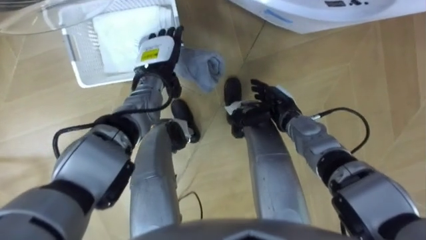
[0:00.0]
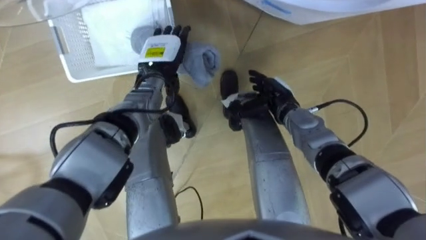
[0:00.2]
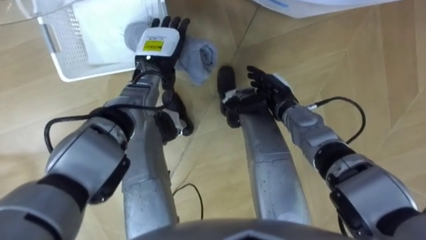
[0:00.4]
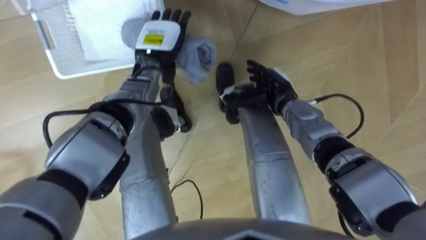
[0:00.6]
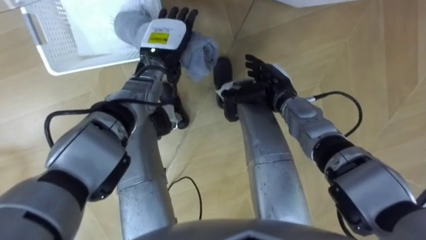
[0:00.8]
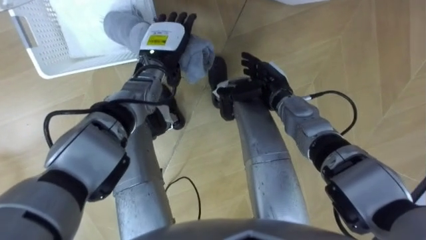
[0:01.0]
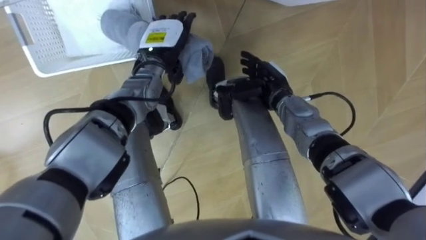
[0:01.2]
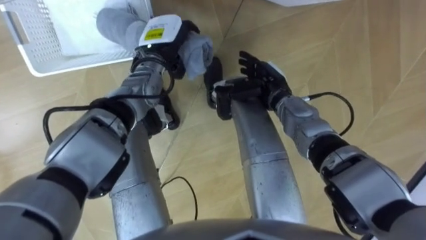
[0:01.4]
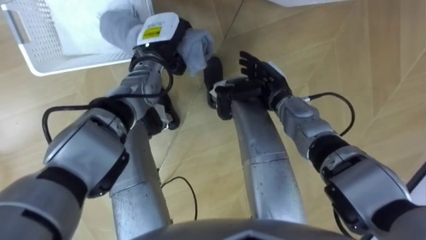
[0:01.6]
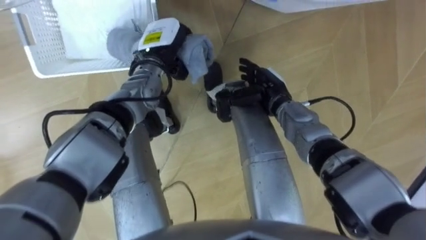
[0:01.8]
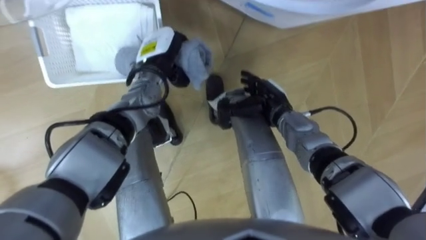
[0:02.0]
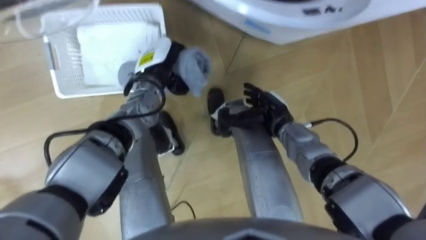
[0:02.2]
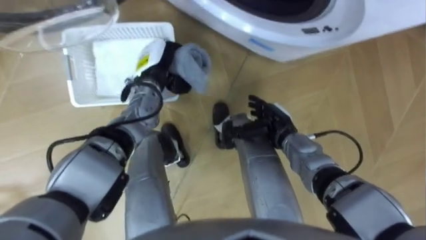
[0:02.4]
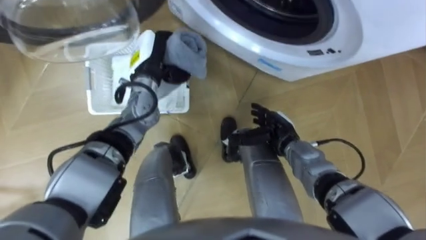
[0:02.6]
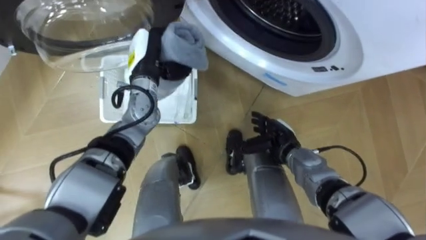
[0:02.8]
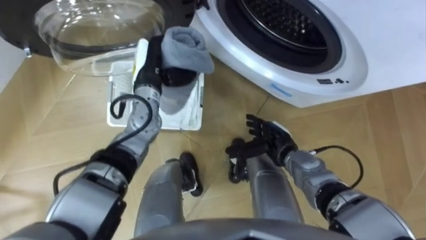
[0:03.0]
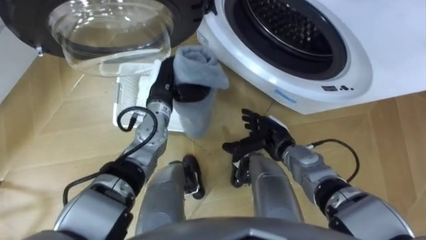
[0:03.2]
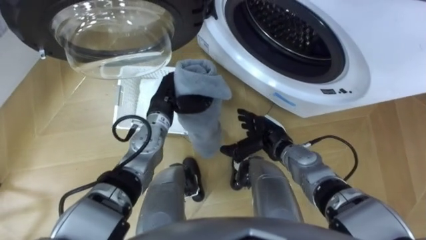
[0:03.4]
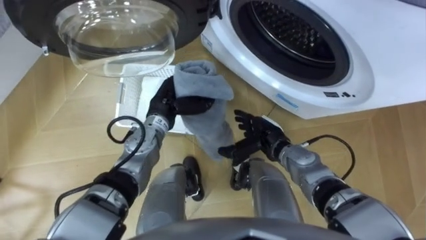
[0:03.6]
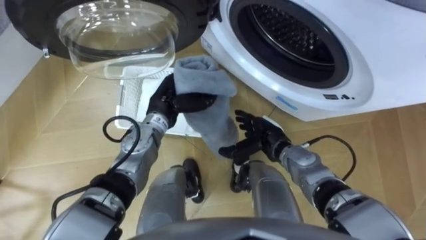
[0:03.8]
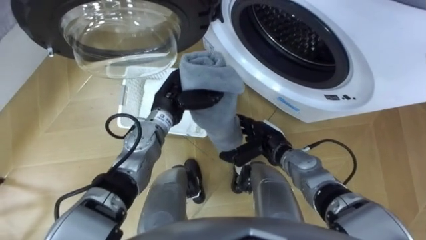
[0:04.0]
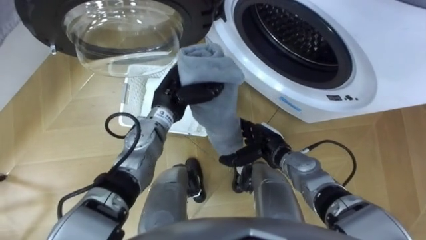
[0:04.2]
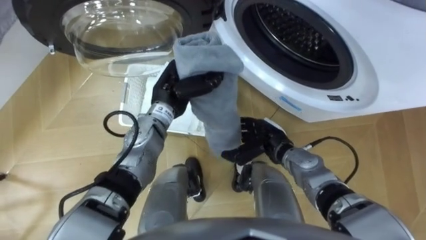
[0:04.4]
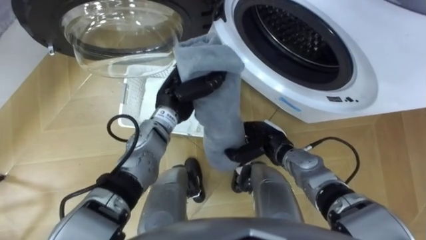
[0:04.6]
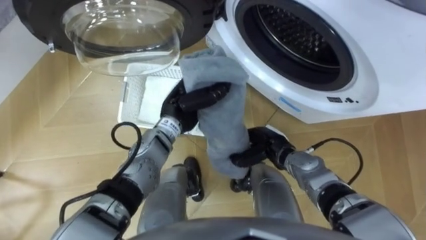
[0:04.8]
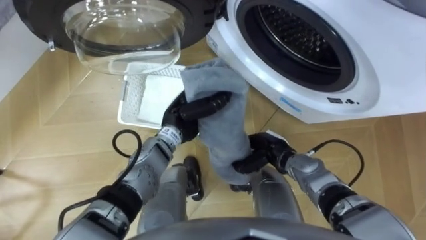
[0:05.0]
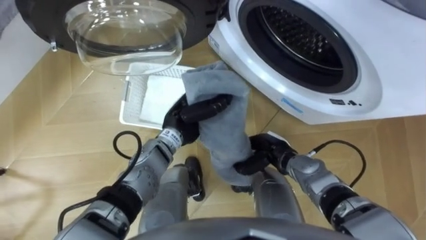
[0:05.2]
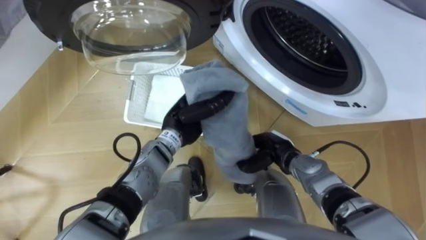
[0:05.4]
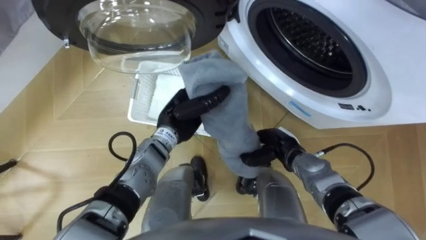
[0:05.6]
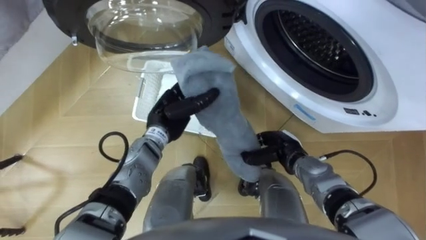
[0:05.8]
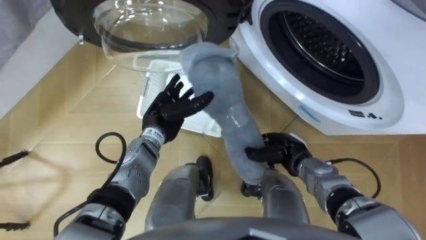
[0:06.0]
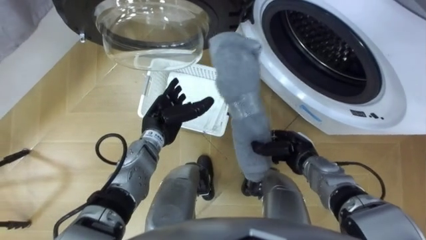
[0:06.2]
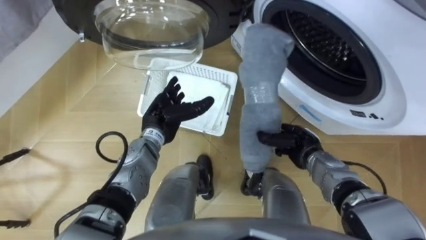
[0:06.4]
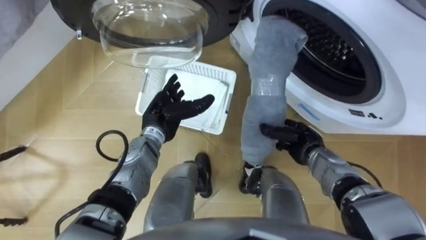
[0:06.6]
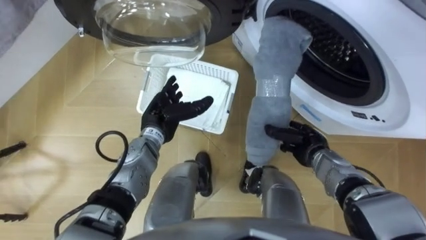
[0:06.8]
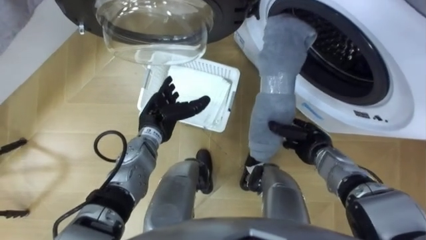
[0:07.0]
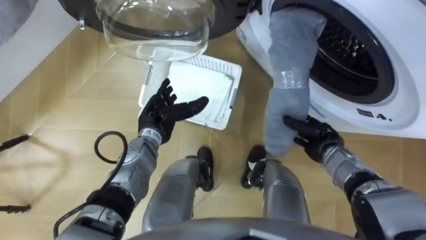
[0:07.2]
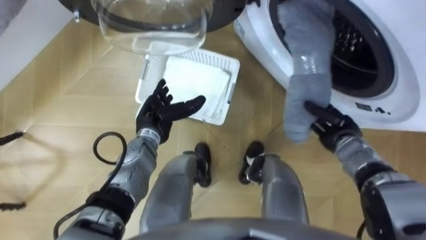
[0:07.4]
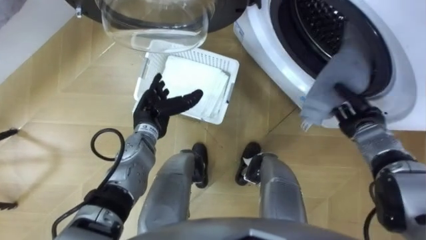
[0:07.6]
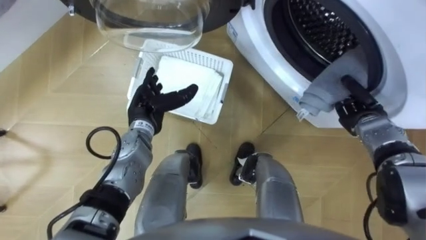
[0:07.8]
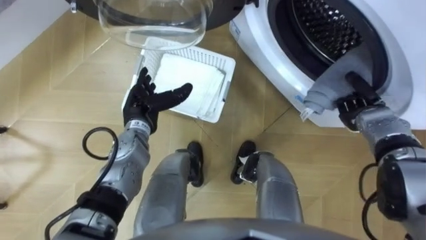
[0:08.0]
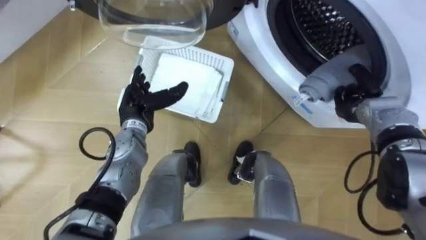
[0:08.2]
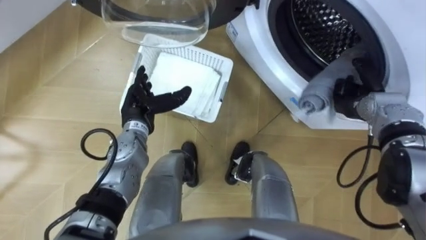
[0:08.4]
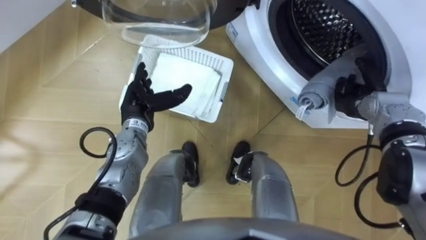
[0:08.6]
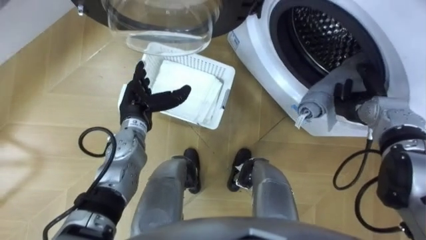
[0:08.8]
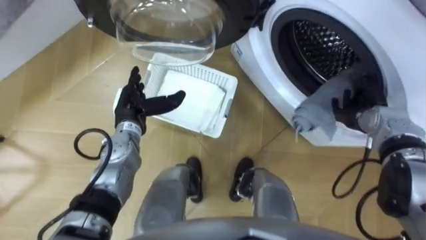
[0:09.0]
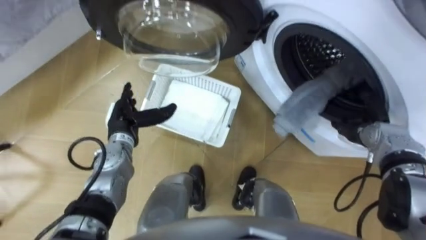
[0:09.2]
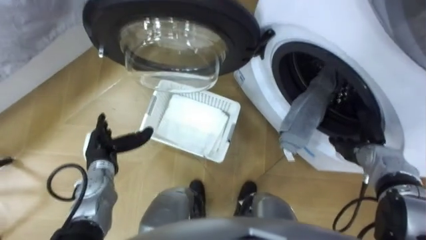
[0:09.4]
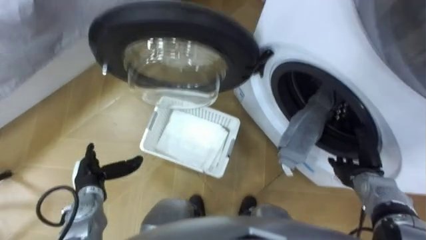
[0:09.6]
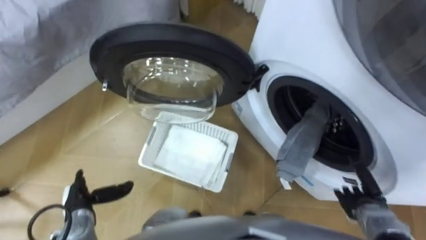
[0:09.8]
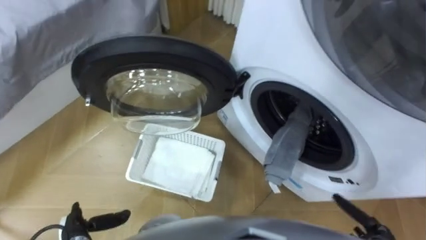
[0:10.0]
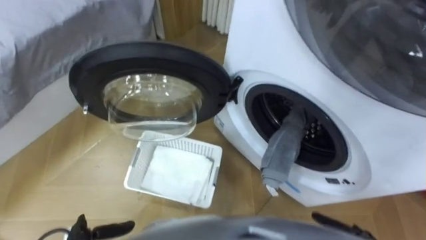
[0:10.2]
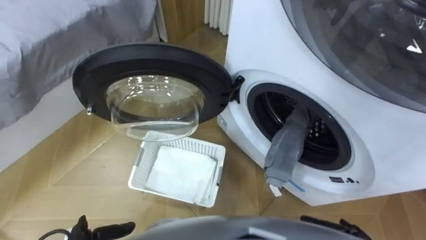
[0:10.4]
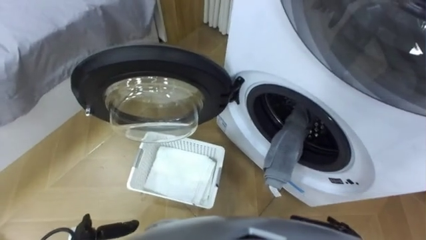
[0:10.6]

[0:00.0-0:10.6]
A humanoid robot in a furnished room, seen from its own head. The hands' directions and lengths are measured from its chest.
Task of the whole recording: Take the towel from the basket and put it into the washing machine.
0:00.0 to 0:01.6: The left hand closes. Meanwhile the right hand shifts by some 5 cm.
0:01.6 to 0:03.0: The right hand travels backward and downward by approximately 15 cm, while the left hand ends up about 5 cm from where it was.
0:03.0 to 0:04.6: The left hand shifts about 5 cm to the right. The right hand closes up.
0:04.6 to 0:06.0: The right hand travels to the right by approximately 5 cm. Meanwhile the left hand heads downward, covering roughly 5 cm, and opens its fingers.
0:06.0 to 0:07.6: The right hand goes about 15 cm to the right.
0:07.6 to 0:09.0: The right hand opens.

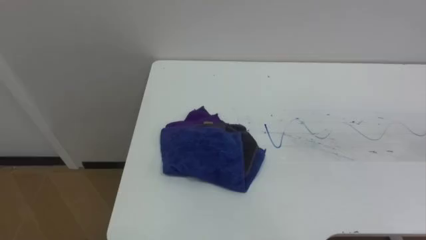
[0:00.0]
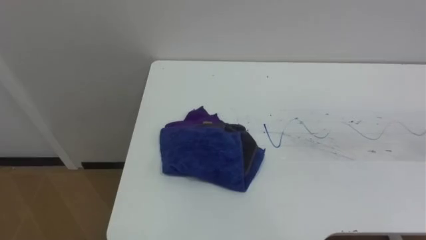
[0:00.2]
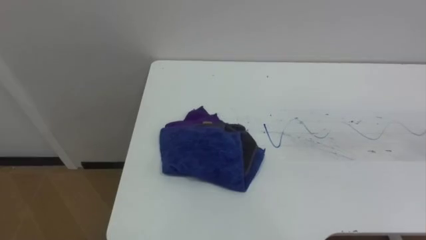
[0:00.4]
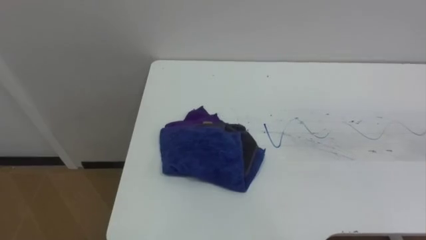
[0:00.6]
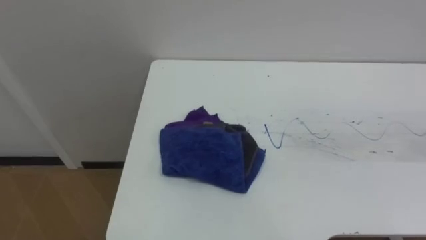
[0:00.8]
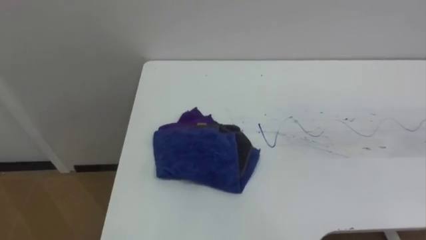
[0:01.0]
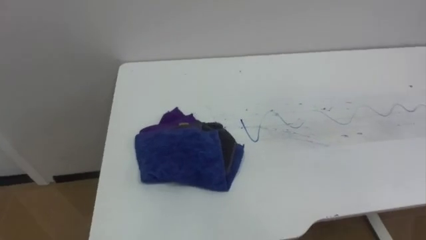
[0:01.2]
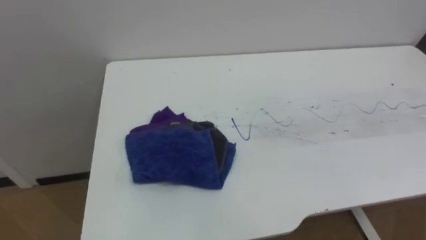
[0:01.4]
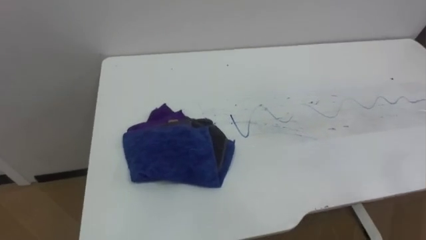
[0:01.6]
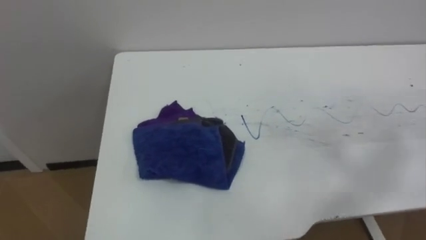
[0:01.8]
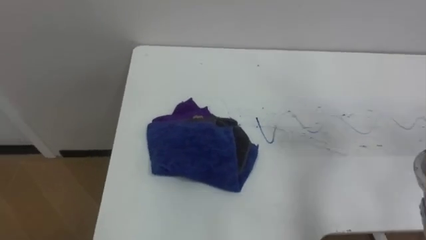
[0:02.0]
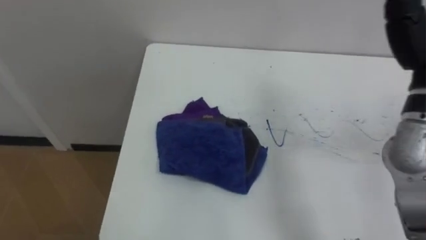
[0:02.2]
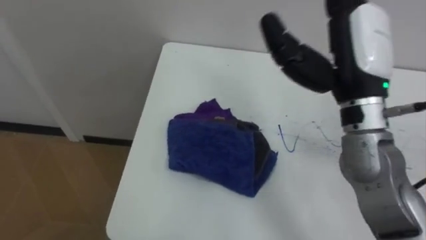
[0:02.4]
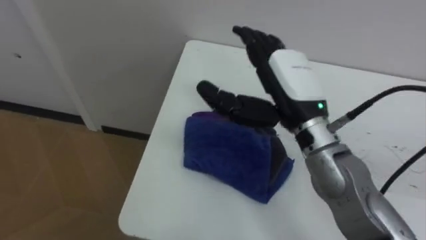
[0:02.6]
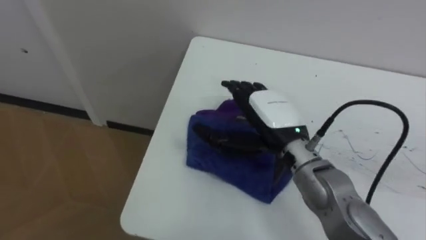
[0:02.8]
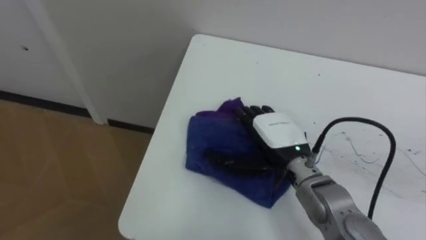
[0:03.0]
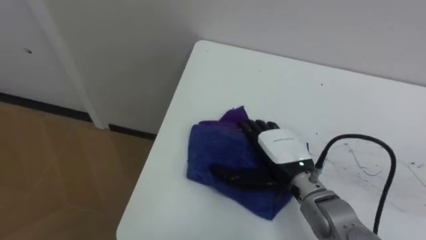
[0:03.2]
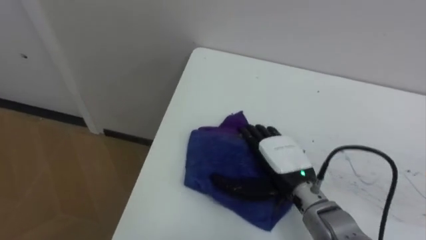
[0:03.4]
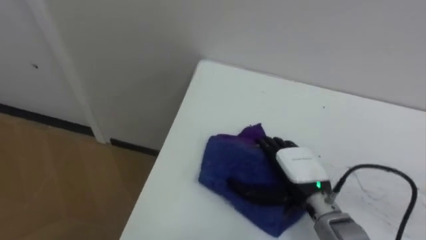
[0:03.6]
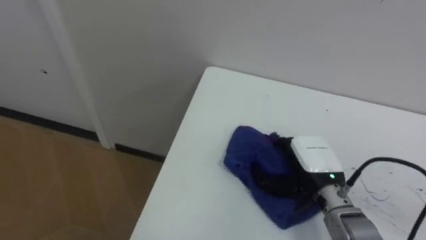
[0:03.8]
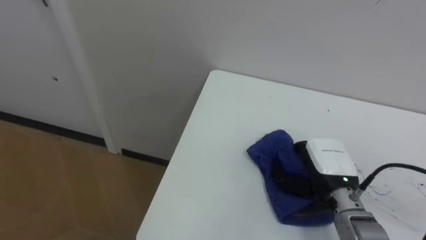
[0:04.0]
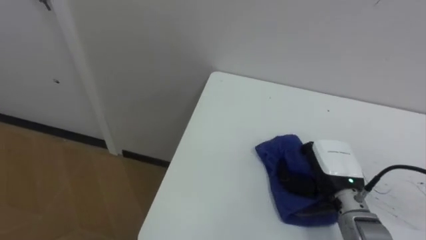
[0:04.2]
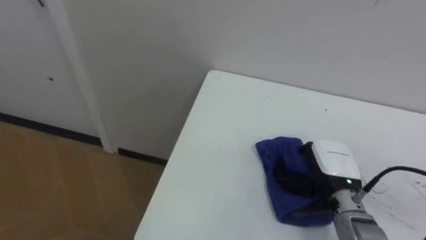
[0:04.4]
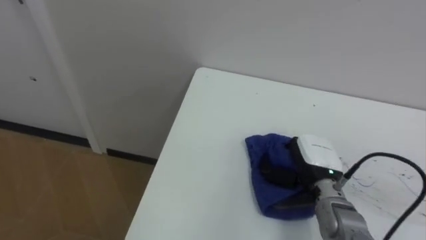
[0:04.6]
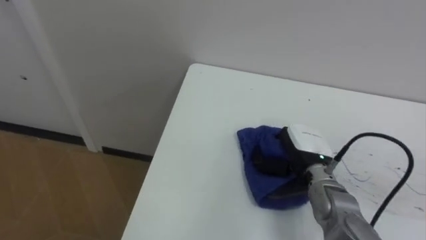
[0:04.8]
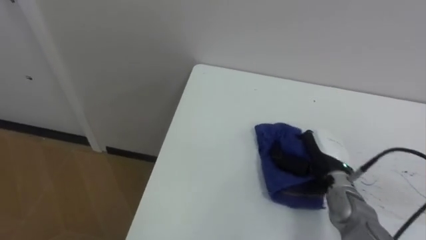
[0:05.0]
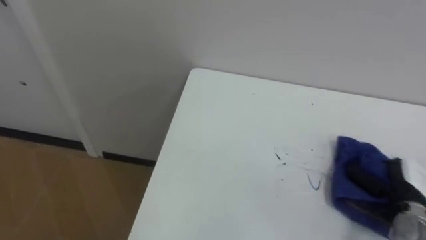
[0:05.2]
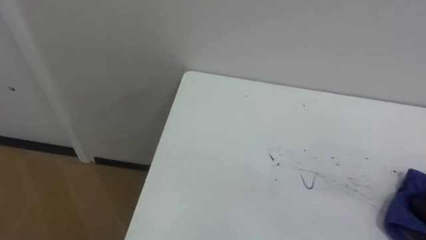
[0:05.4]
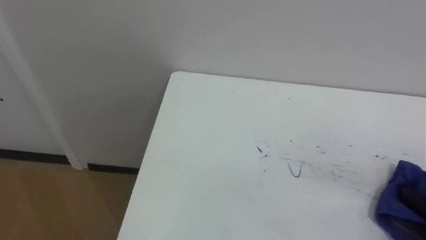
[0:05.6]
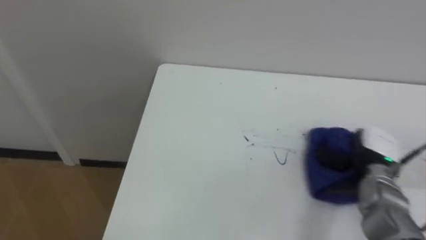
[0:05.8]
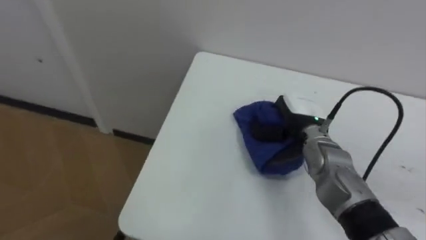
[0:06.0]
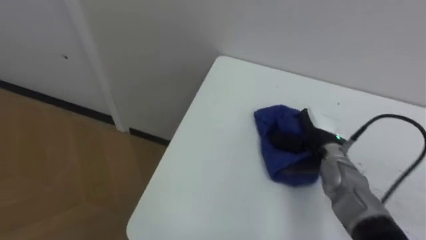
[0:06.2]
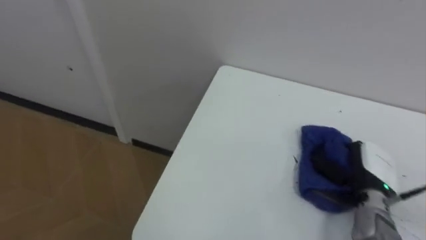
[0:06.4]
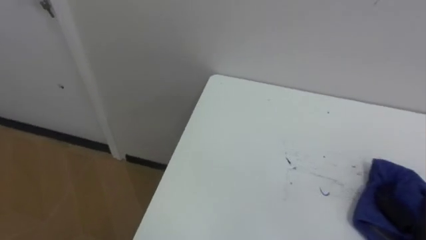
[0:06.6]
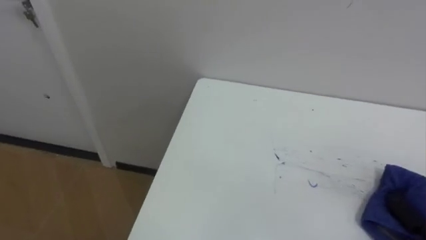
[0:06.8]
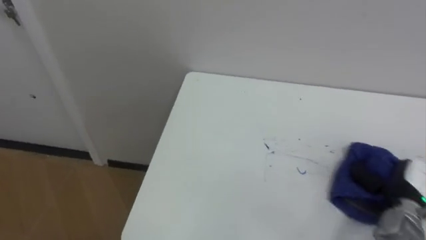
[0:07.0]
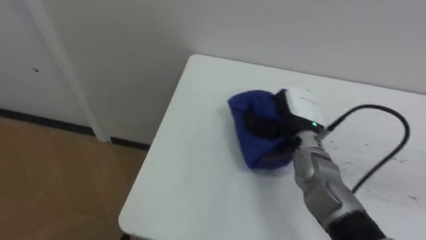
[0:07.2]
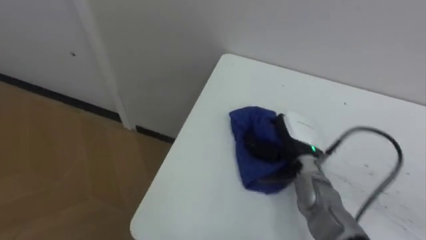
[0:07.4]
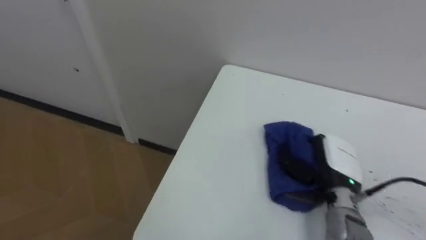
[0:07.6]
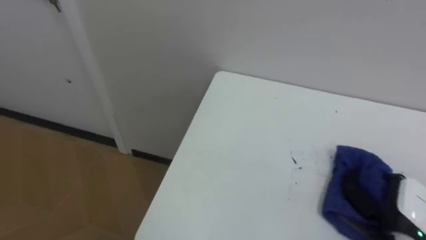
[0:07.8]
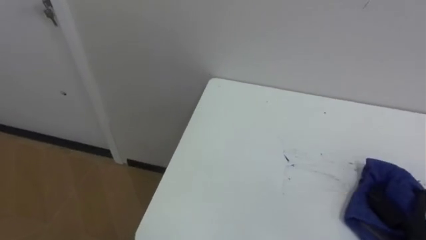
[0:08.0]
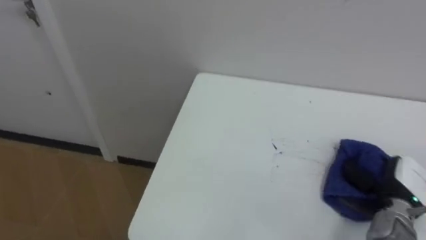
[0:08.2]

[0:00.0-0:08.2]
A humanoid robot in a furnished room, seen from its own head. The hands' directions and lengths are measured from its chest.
Task of the whole recording: Wipe the blue pen marks off the table with the rag.
0:03.2 to 0:05.0: The right hand moves left and right over roughly 10 cm, changing direction 2 times, and closes up.
